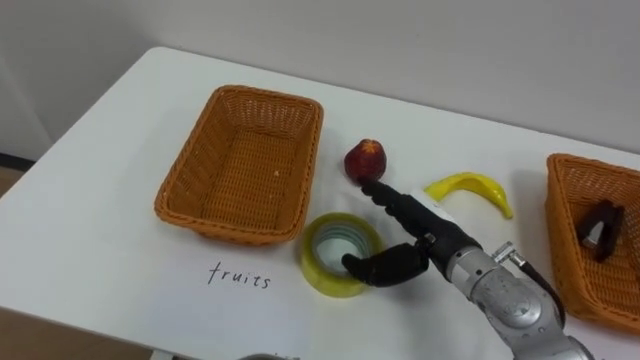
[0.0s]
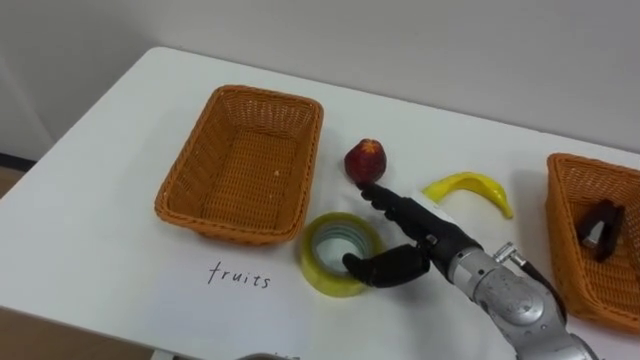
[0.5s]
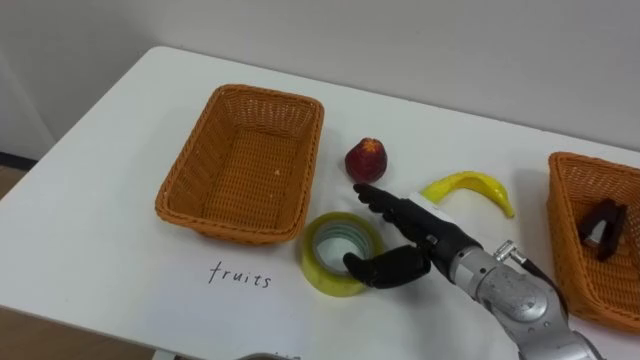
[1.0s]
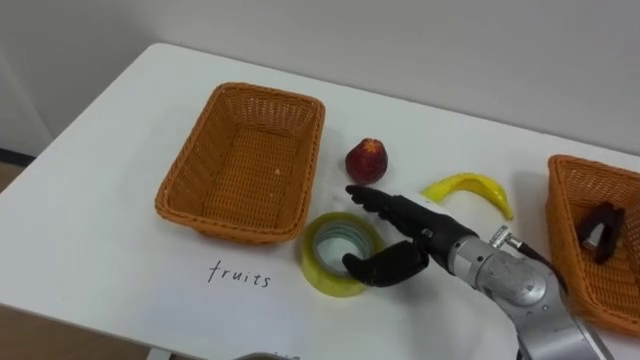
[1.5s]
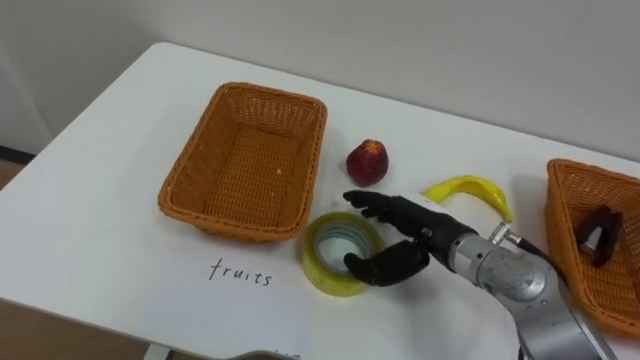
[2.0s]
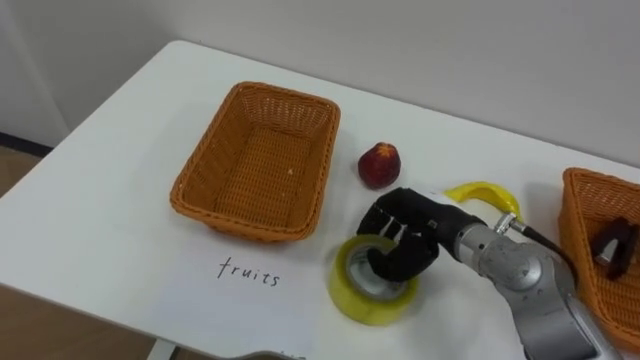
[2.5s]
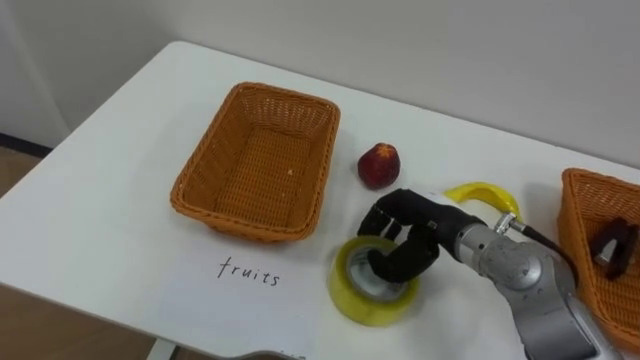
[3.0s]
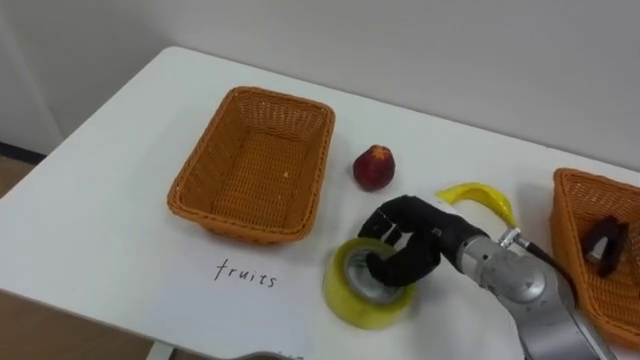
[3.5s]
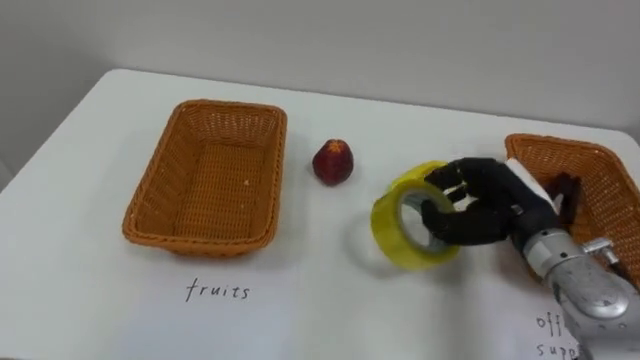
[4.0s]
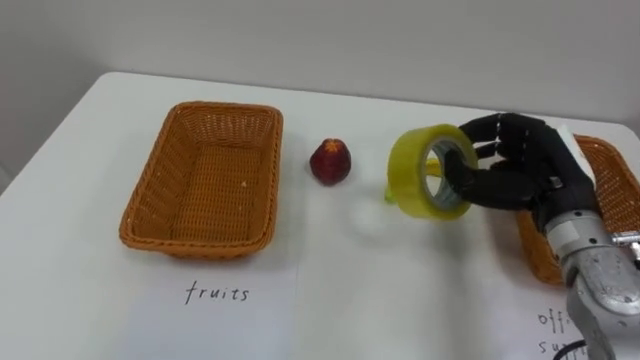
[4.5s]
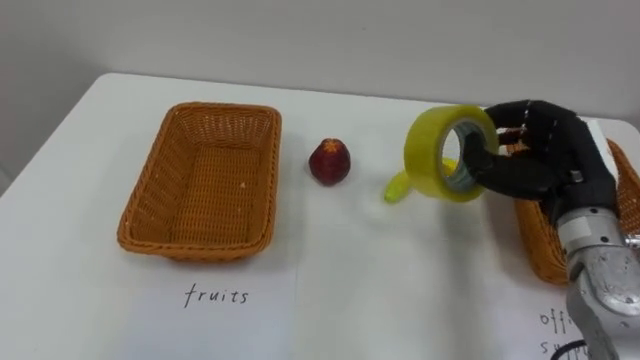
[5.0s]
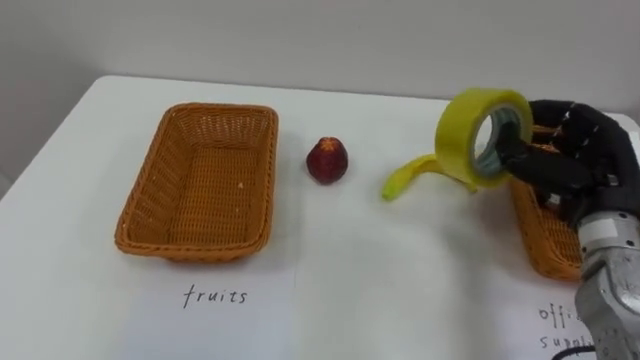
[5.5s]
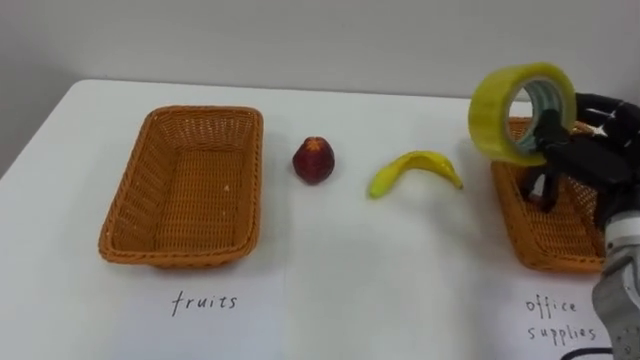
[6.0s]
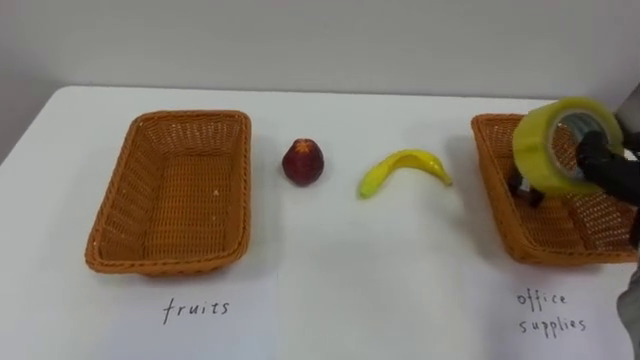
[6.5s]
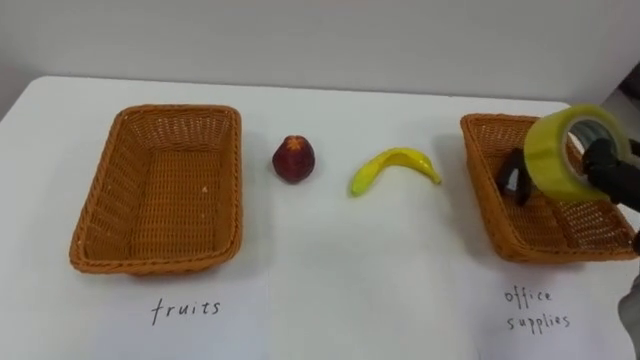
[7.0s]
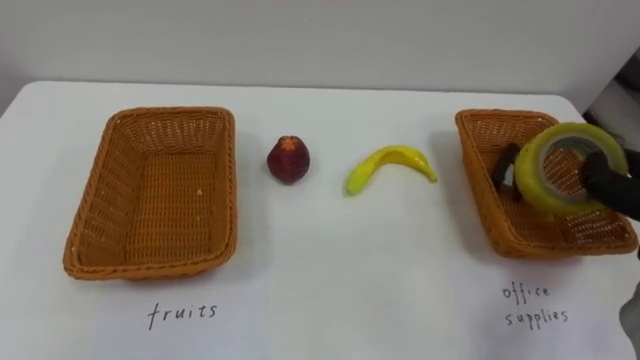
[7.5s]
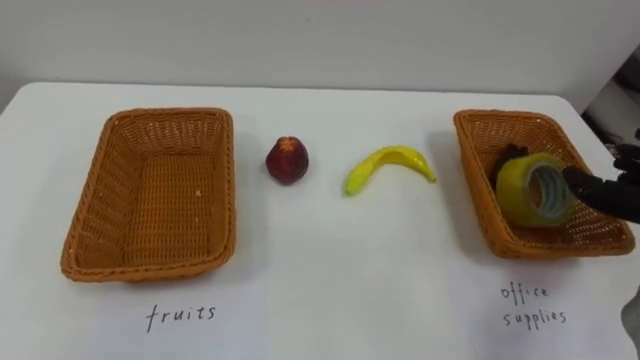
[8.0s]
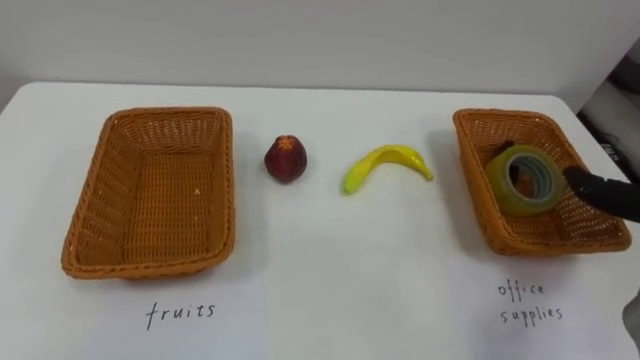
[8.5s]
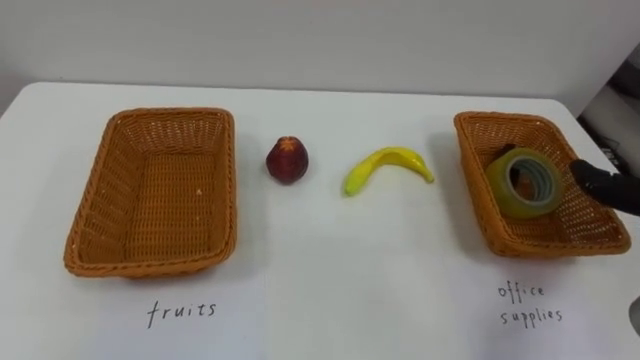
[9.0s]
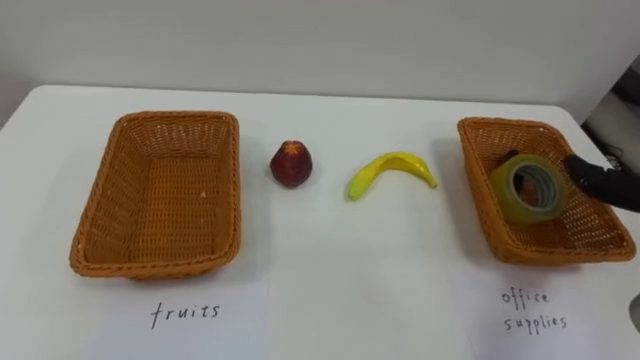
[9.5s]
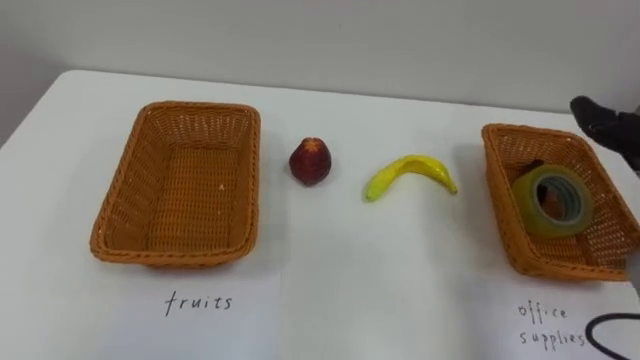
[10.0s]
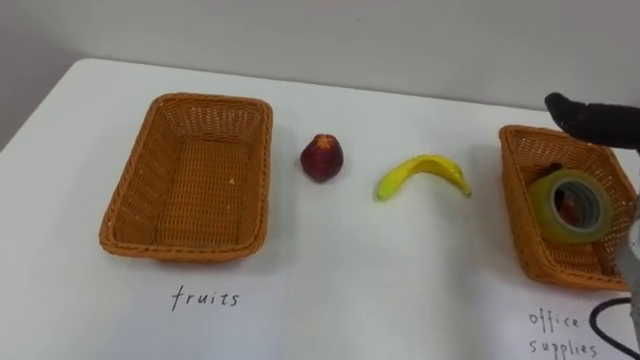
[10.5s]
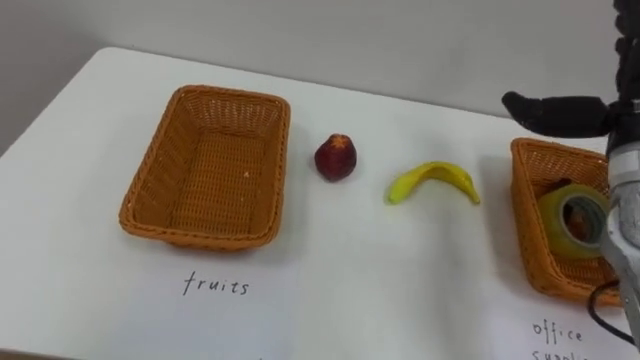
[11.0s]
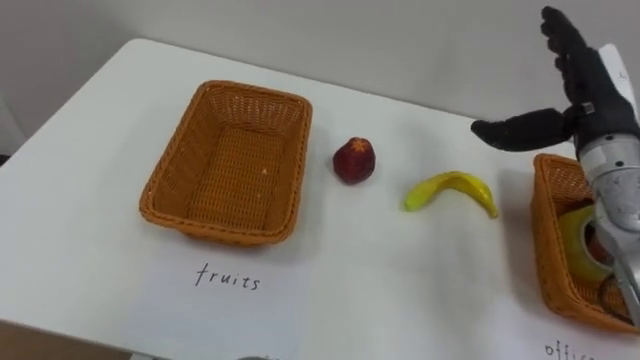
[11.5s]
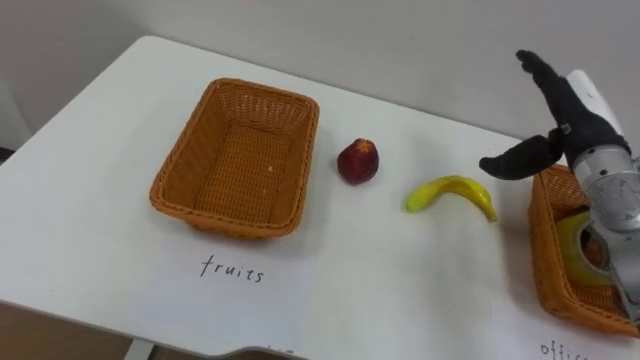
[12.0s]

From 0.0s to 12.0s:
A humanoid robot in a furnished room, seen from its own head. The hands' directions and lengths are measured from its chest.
Task of the whole recording: Separate the items on the table and place them into the two baskets.
From 2.0s to 4.0s: The right hand moves to the right, approximately 10 cm, and closes.
From 4.0s to 6.0s: The right hand travels to the right and upward by roughly 10 cm.

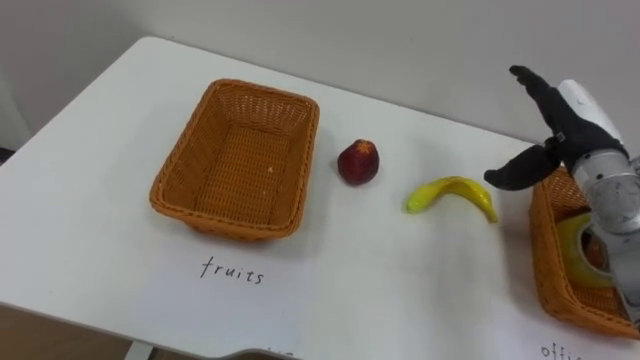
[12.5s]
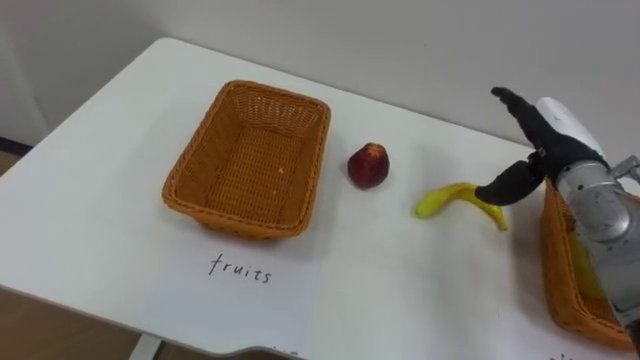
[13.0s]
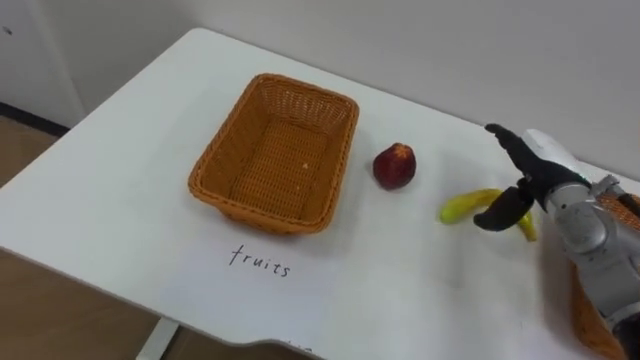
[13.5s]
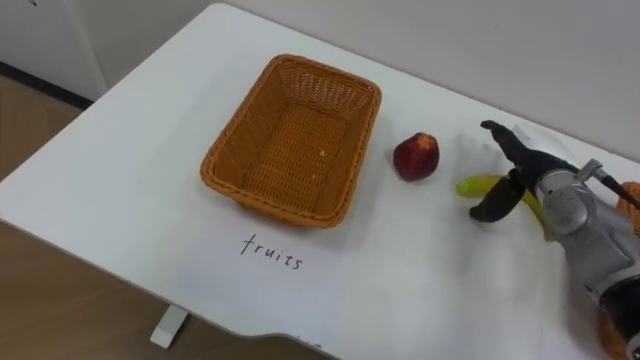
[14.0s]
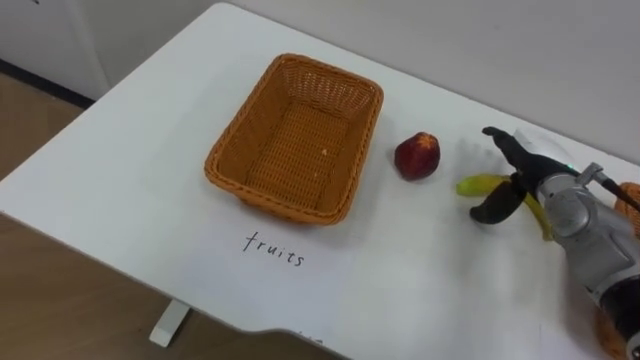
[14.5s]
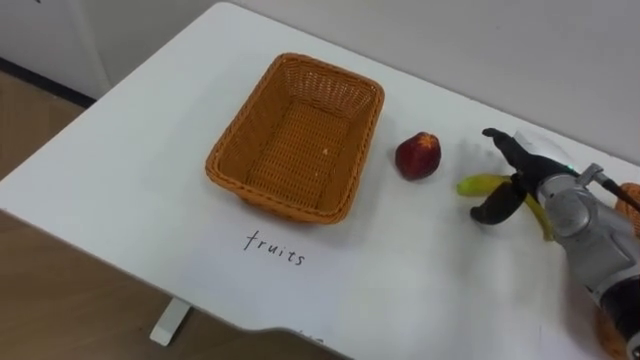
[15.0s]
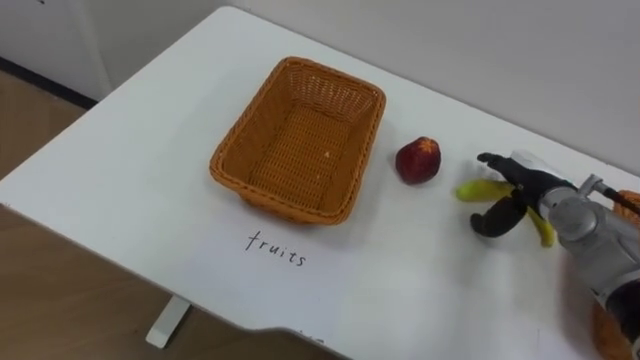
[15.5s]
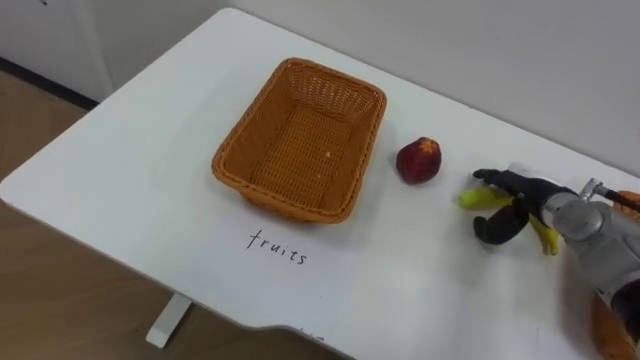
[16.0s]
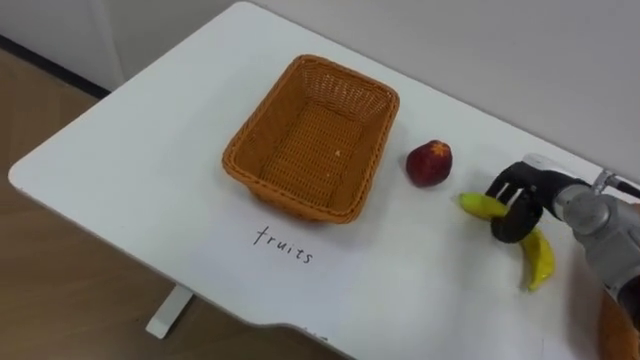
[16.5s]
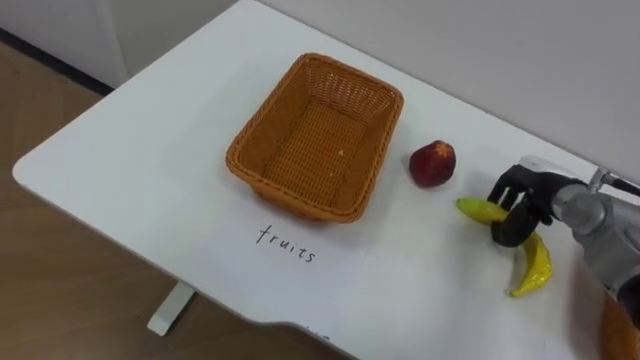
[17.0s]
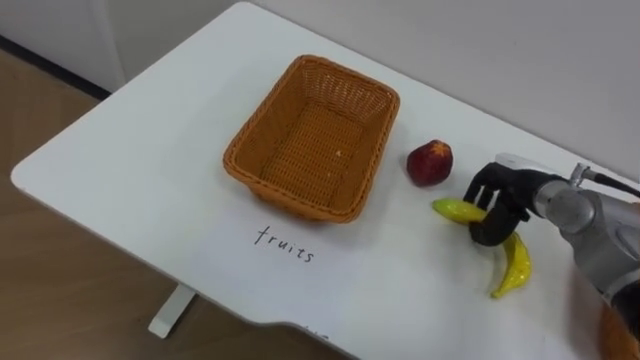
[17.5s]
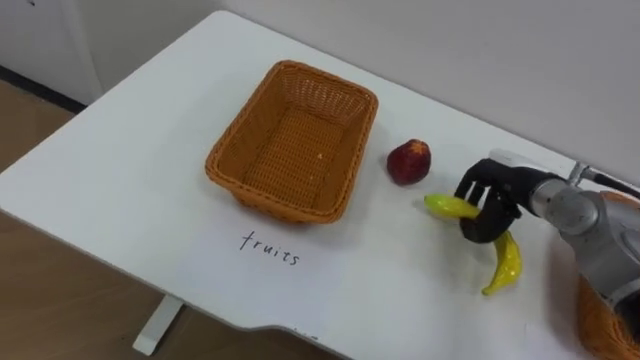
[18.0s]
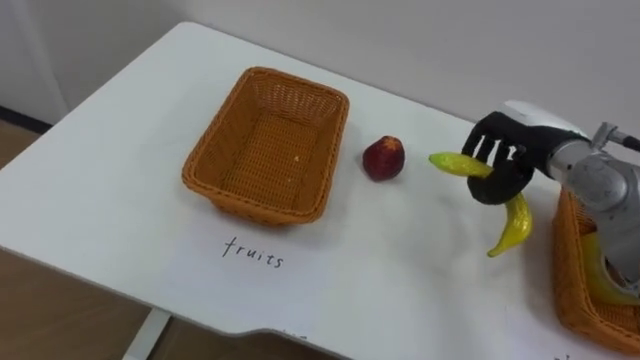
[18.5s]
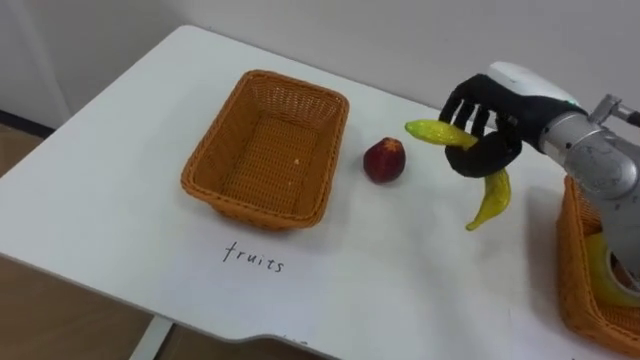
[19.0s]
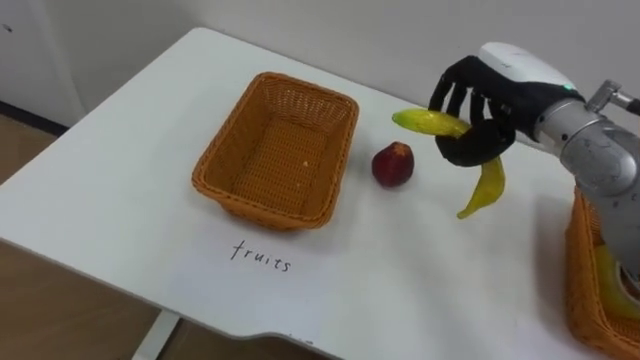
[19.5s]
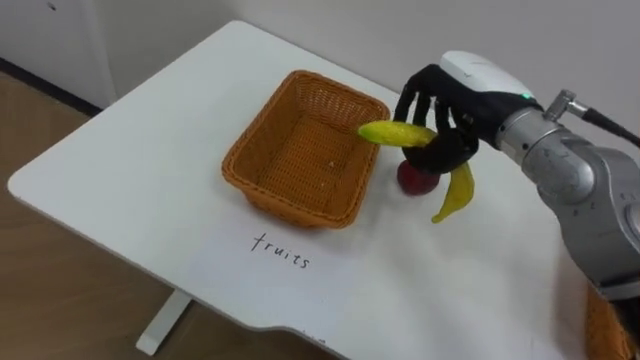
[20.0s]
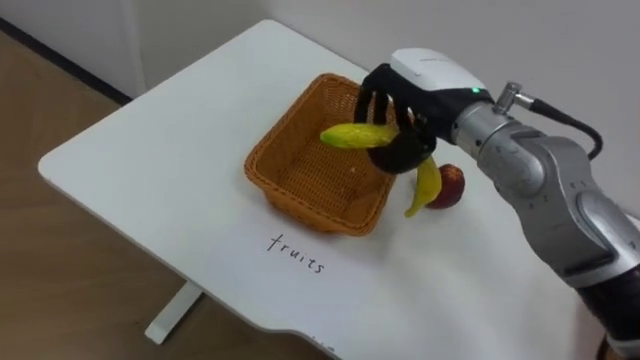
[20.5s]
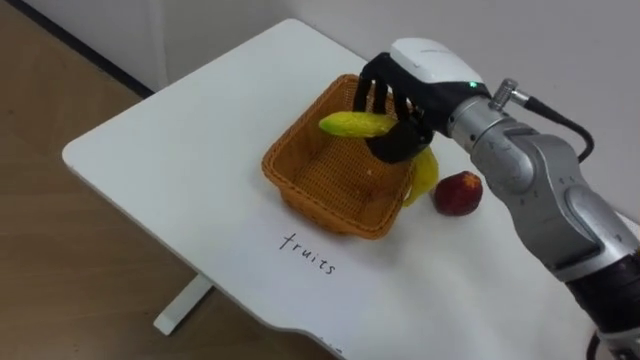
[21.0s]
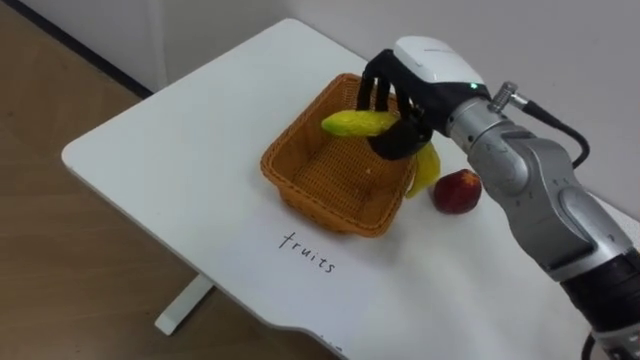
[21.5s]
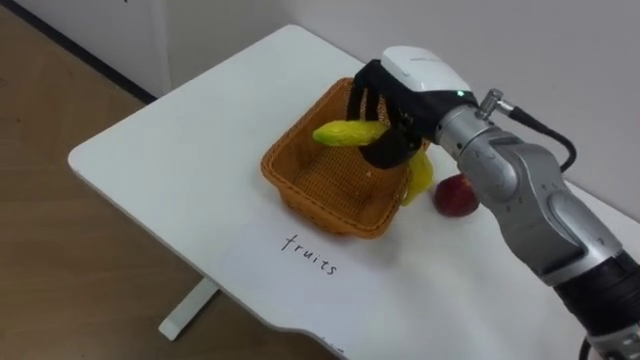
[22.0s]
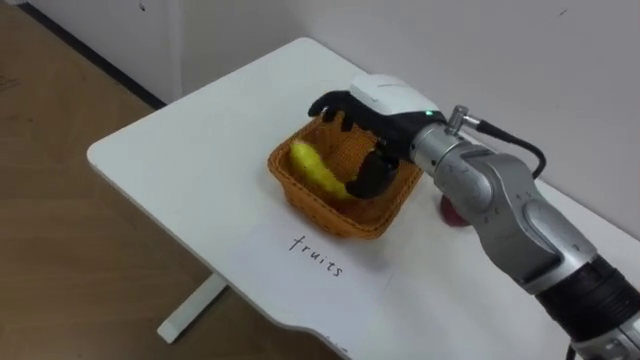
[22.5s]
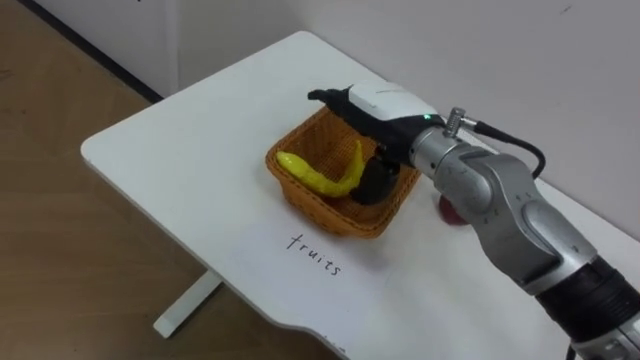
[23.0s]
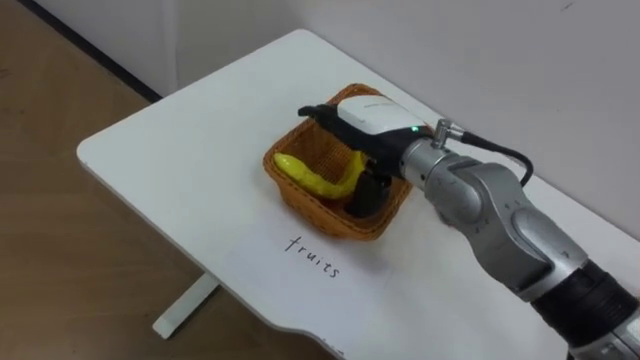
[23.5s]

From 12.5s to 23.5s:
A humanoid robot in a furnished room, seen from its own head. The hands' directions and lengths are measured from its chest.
Task of the whole recording: Separate the items on the table and place them into the two baskets.
From 12.5s to 14.5s: The right hand heads downward, covering about 10 cm.
From 16.0s to 18.0s: The right hand closes its fingers.
From 18.0s to 20.0s: The right hand shifts roughly 15 cm upward and to the left.
From 20.0s to 21.5s: The right hand goes roughly 5 cm to the left.
From 21.5s to 23.5s: The right hand travels to the left by approximately 5 cm, and opens its fingers.
